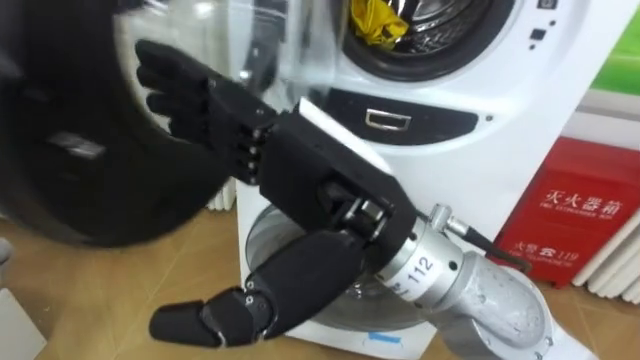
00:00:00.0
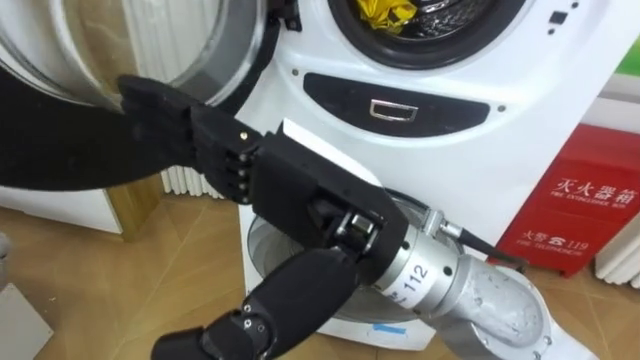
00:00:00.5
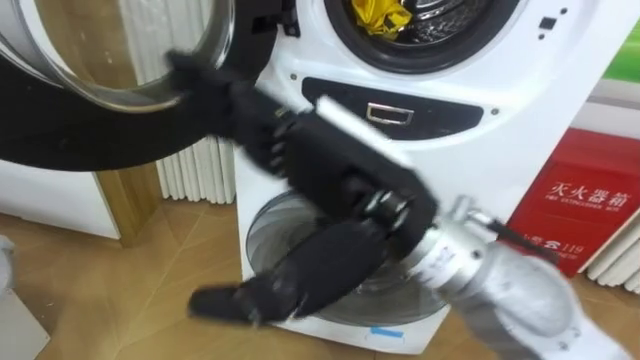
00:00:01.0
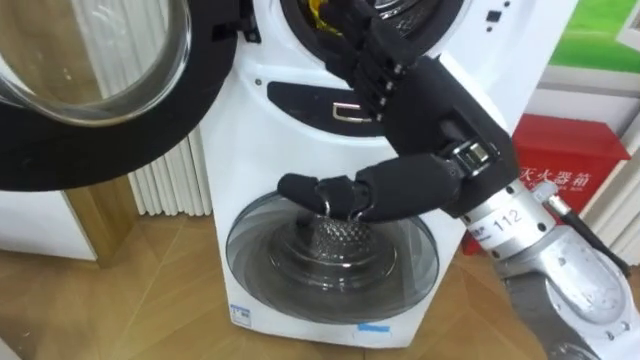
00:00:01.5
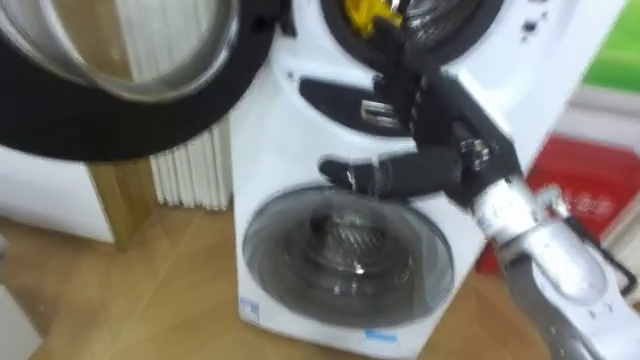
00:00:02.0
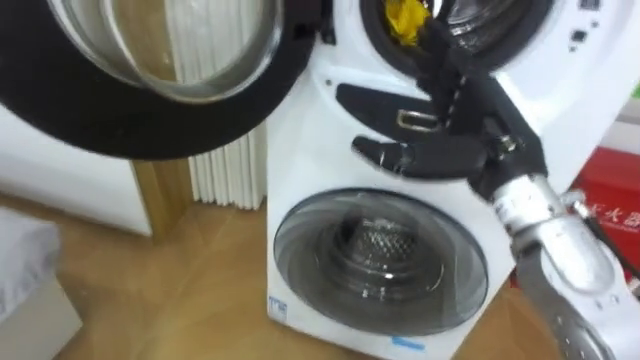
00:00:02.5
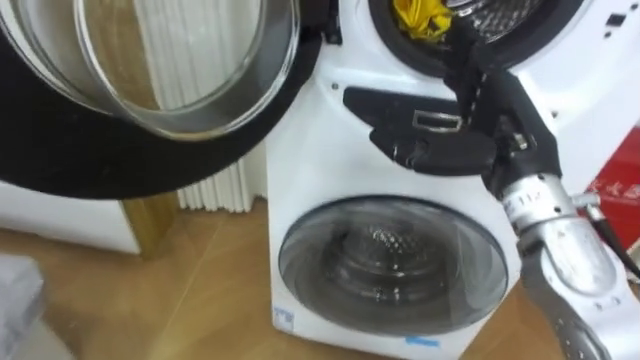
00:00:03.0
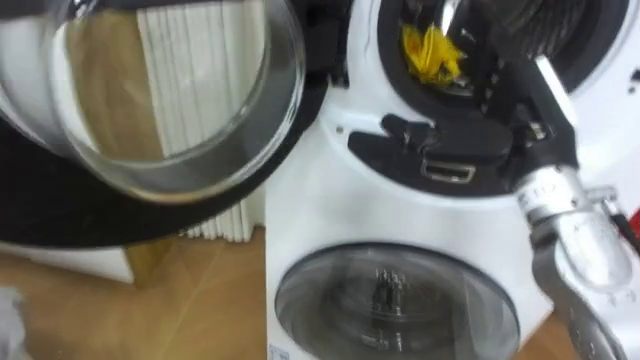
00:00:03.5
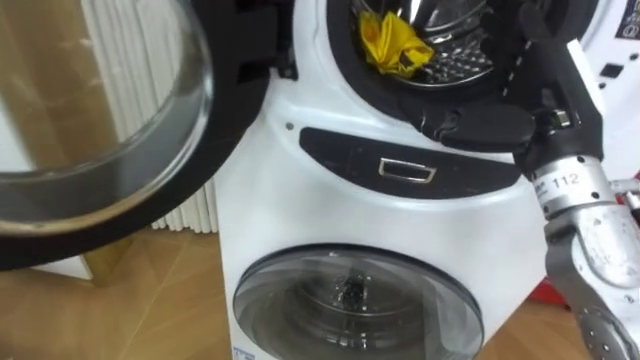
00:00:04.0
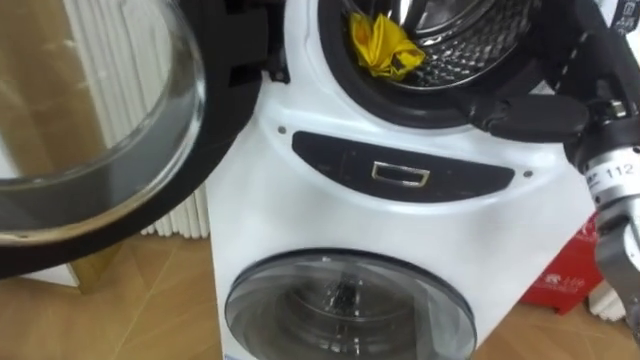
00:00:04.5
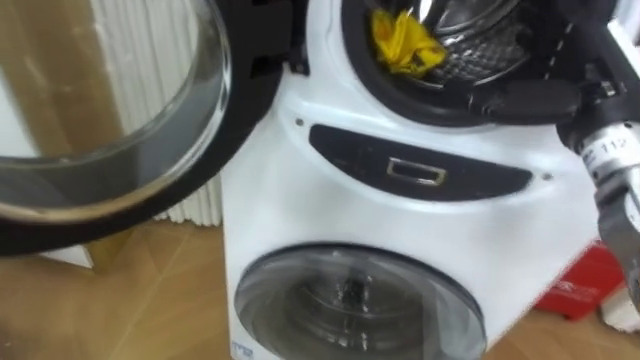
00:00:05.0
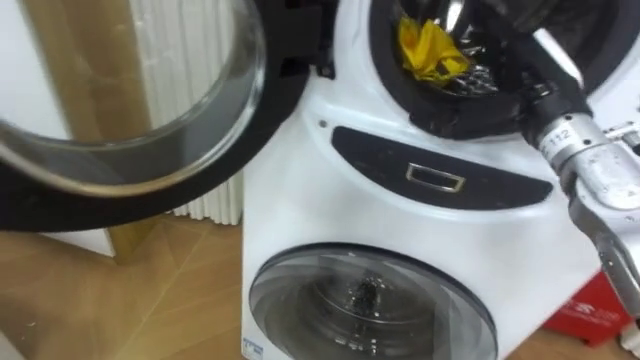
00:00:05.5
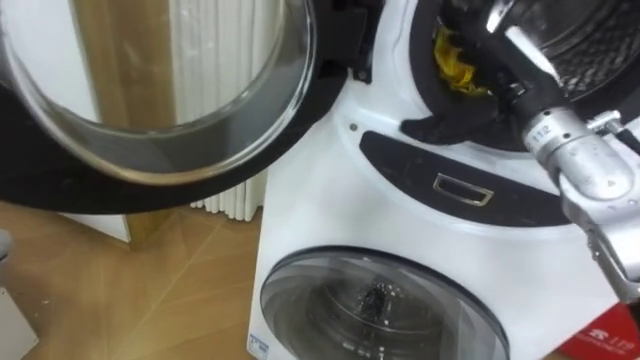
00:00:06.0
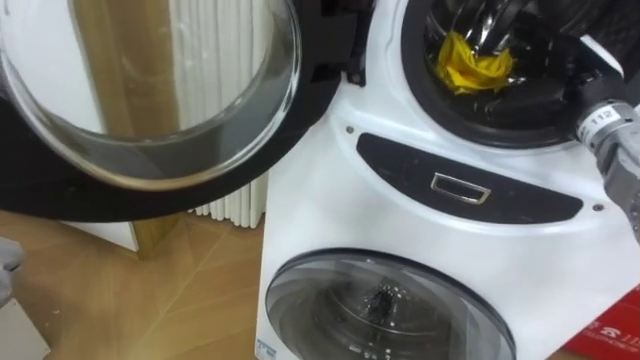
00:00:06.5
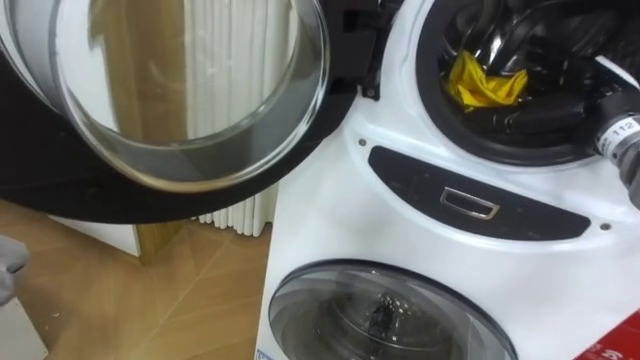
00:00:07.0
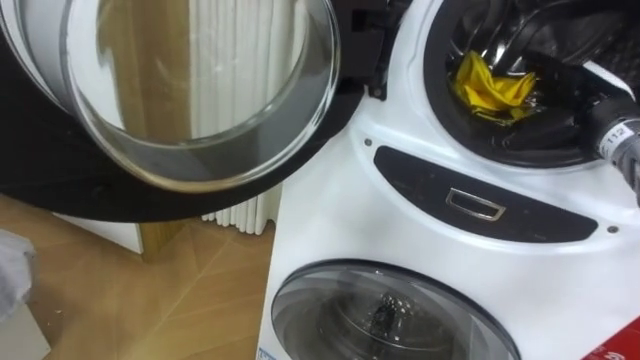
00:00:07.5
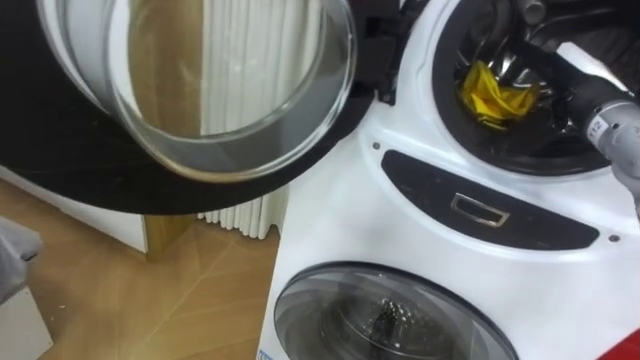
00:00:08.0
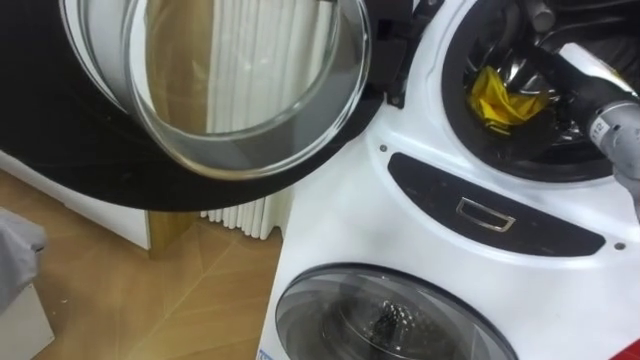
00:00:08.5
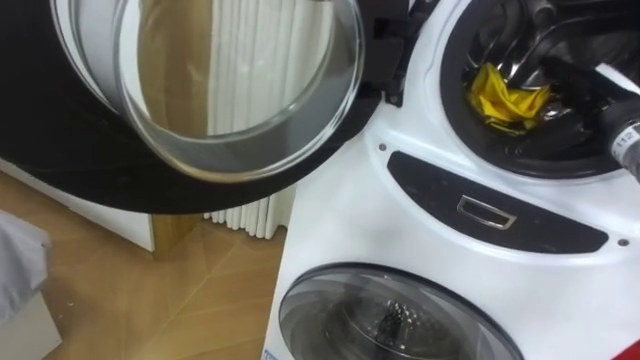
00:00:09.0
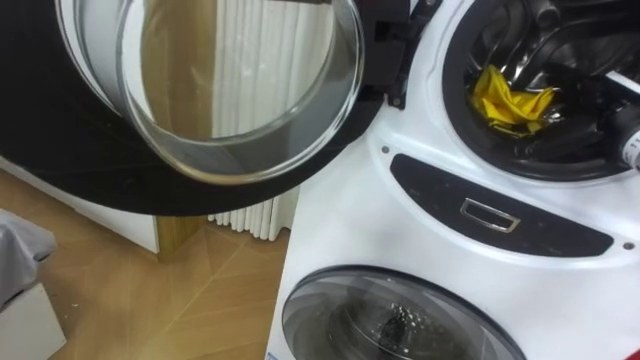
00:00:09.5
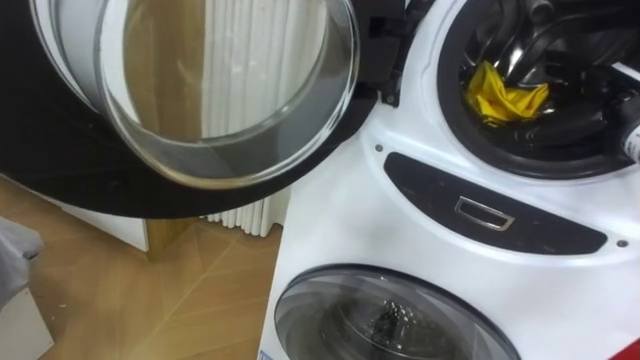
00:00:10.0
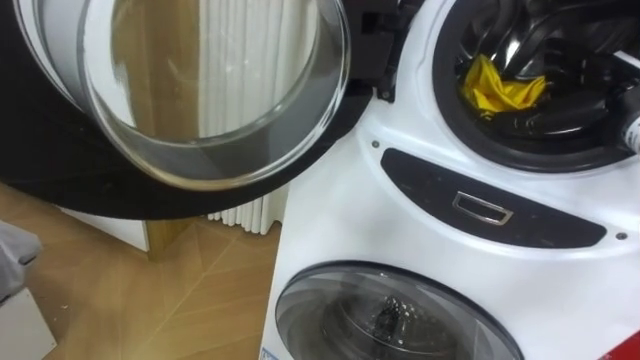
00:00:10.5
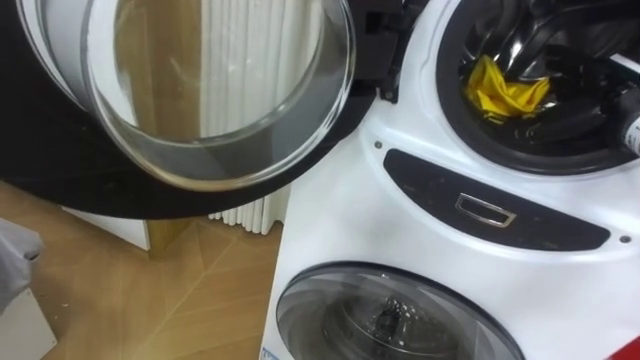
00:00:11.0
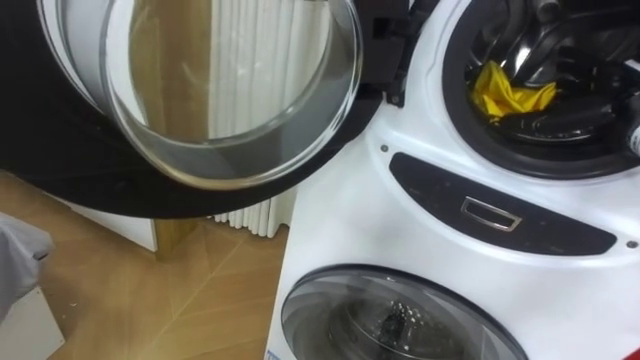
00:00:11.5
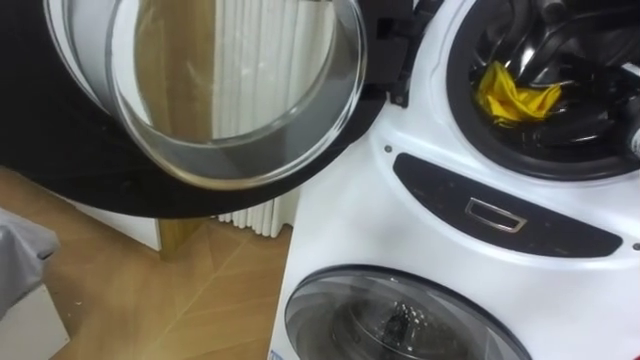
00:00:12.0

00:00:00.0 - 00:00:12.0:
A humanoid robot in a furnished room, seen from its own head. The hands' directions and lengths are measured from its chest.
Task of the whole recording: Open the washing machine door, take out the yellow clothes, place them in the box on the right, and close the washing machine door.
00:00:00.0 - 00:00:02.0: The right hand shifts about 15 cm to the right and forward.
00:00:02.0 - 00:00:04.0: The right hand is displaced to the right by about 5 cm.
00:00:04.0 - 00:00:06.0: The right hand is displaced forward by about 5 cm.
00:00:06.0 - 00:00:08.0: The right hand is displaced to the right by approximately 10 cm.

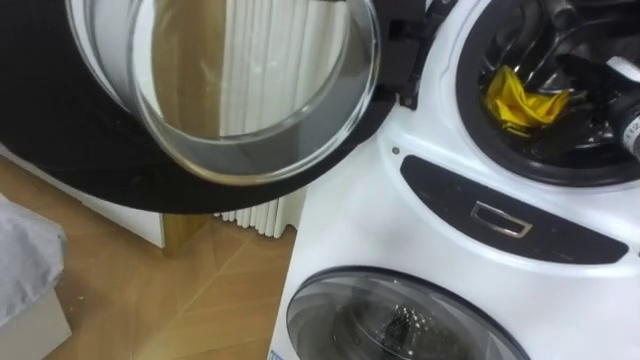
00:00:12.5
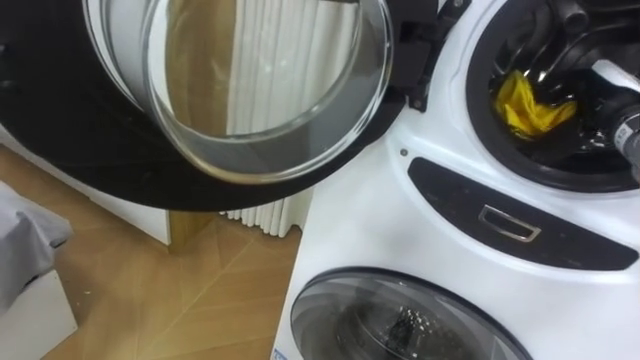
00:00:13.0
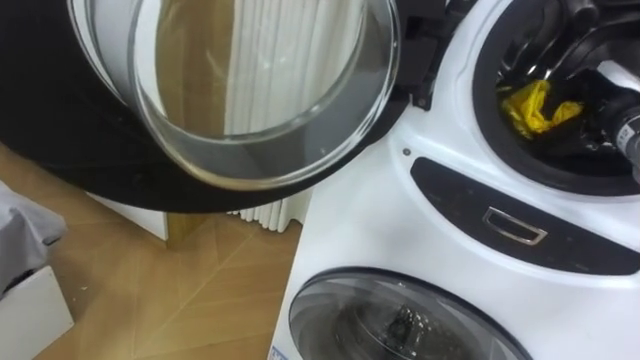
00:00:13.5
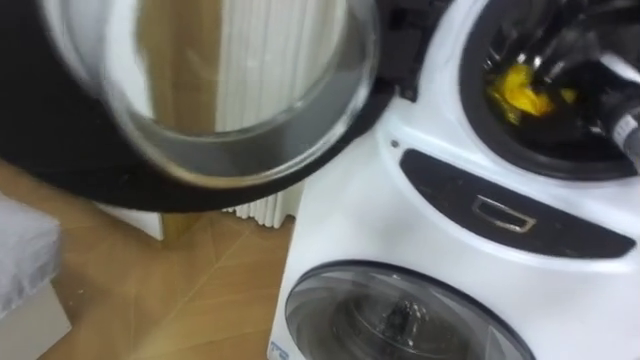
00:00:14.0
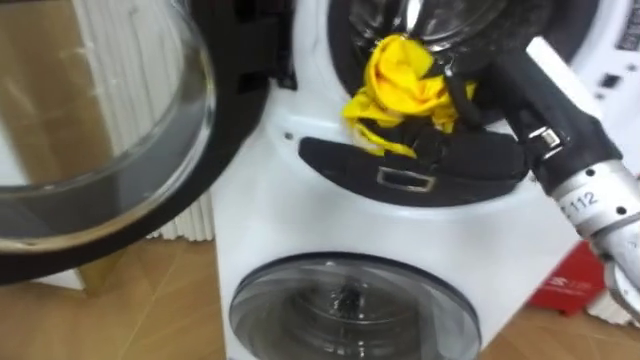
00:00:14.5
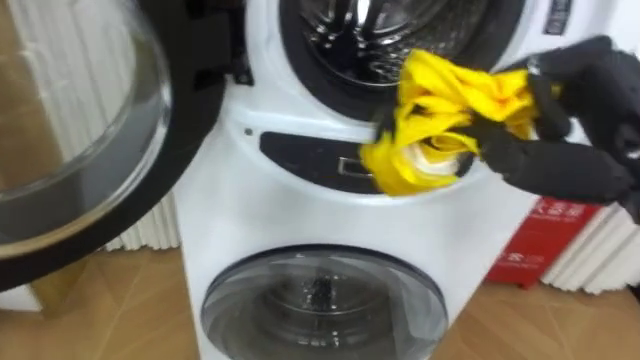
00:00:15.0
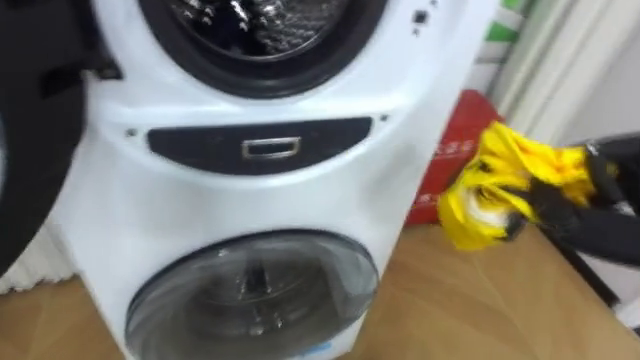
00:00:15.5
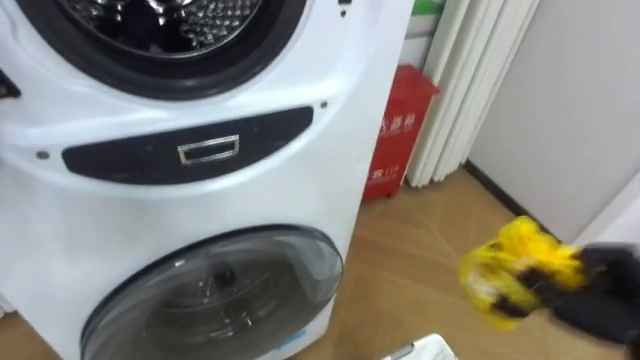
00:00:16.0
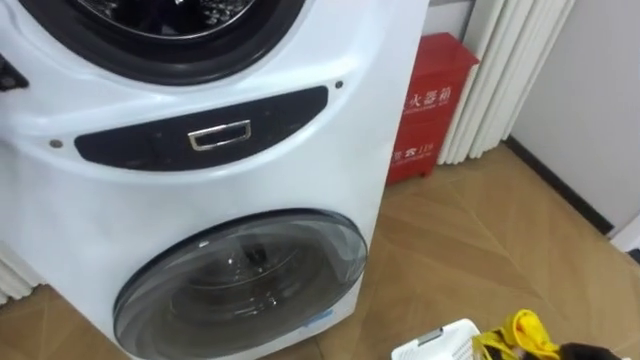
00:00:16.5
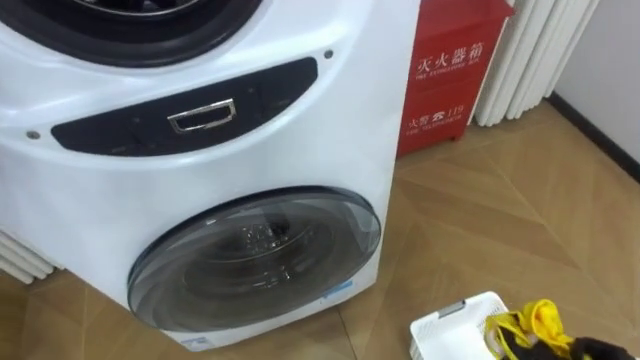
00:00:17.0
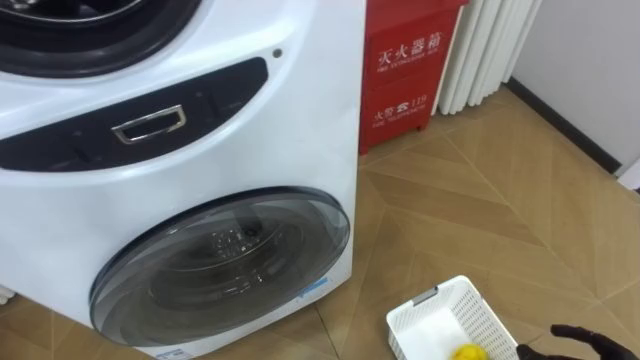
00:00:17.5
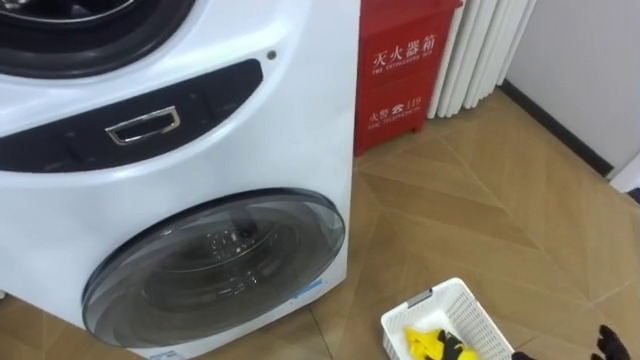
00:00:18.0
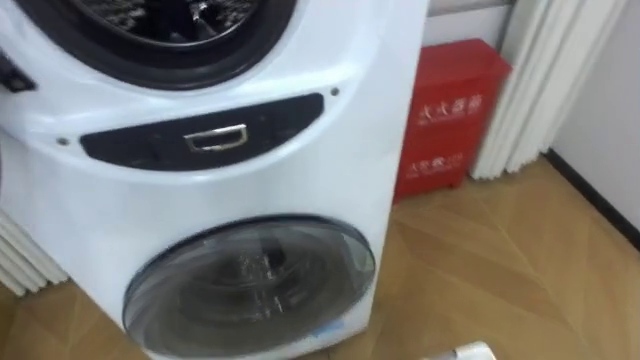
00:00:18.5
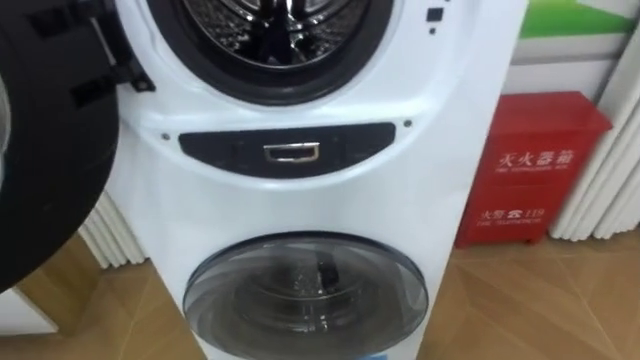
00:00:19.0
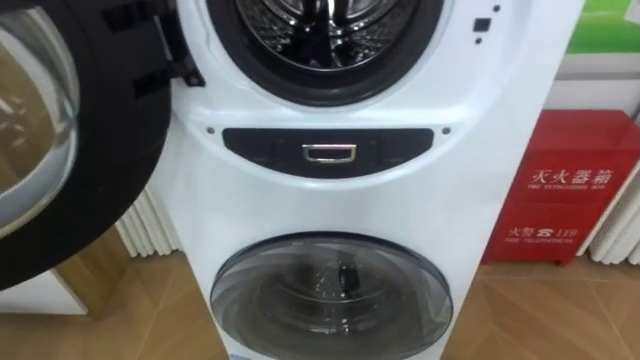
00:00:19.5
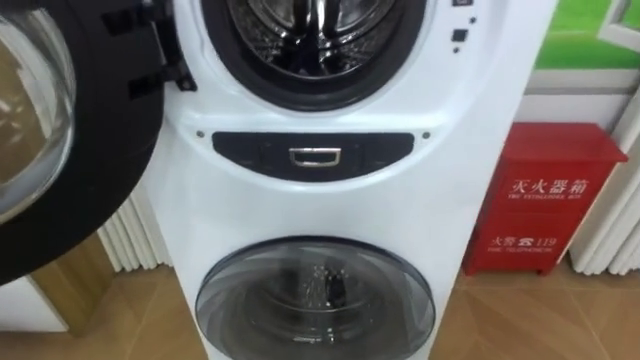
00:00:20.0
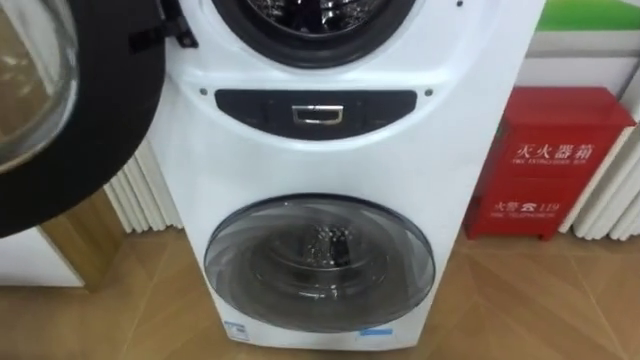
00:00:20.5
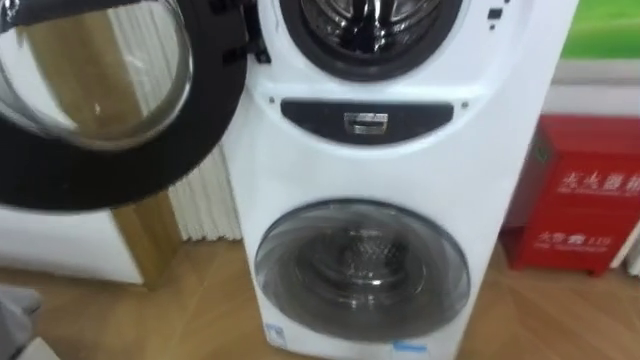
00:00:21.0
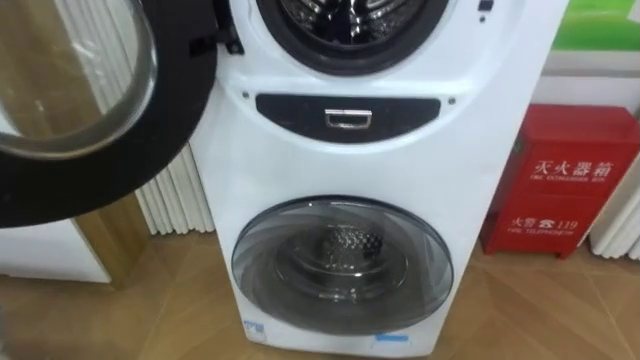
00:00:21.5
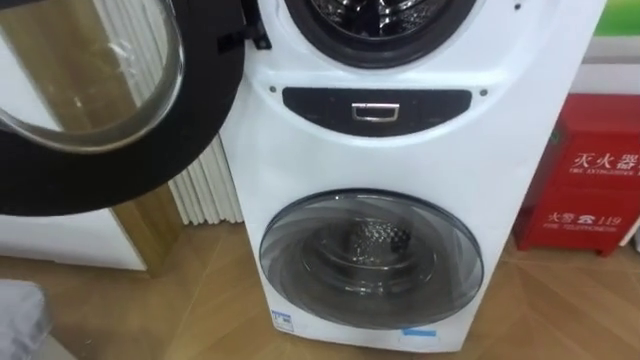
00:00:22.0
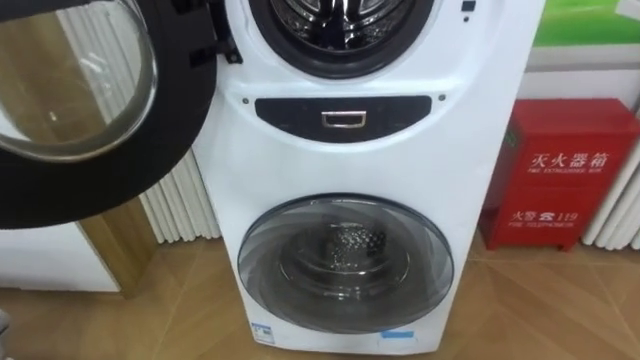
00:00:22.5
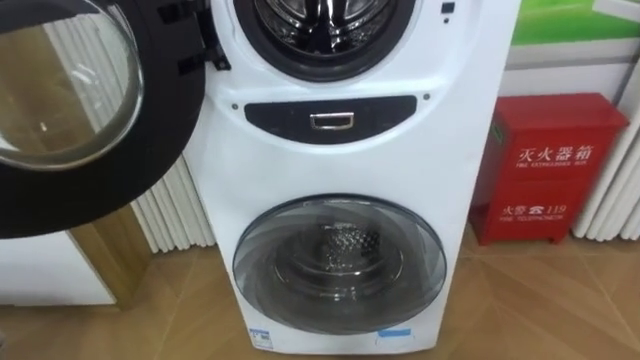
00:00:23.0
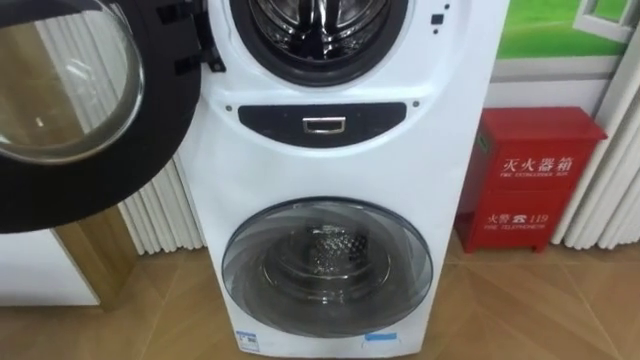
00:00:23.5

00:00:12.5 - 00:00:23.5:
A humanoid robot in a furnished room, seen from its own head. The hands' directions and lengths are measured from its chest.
Task of the whole recording: Open the washing machine door, take out the yellow clothes, place them in the box on the right, and close the washing machine door.
00:00:12.5 - 00:00:14.5: The right hand moves to the left, backward and upward, about 20 cm, and closes its fingers.
